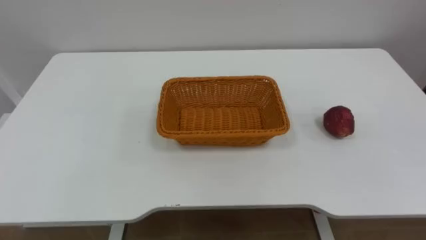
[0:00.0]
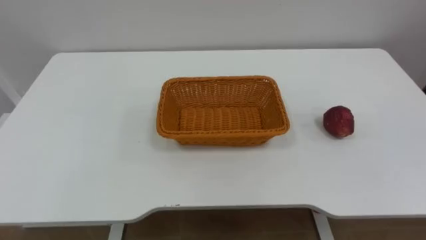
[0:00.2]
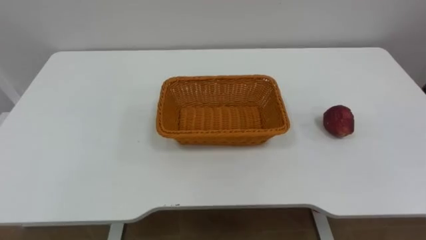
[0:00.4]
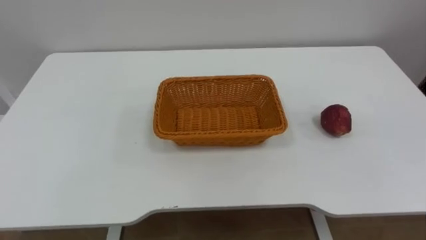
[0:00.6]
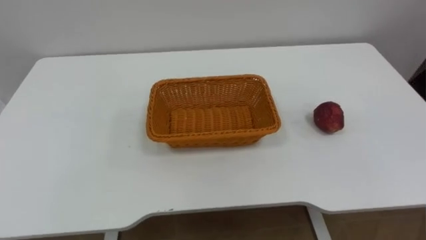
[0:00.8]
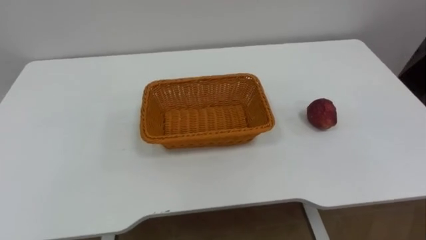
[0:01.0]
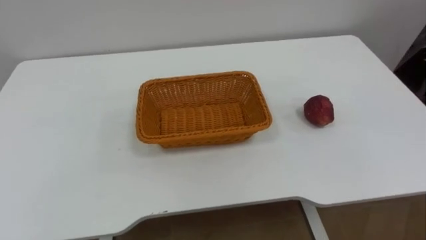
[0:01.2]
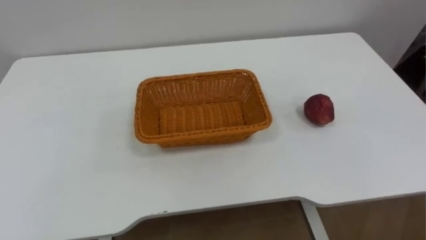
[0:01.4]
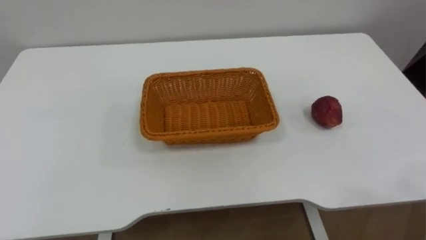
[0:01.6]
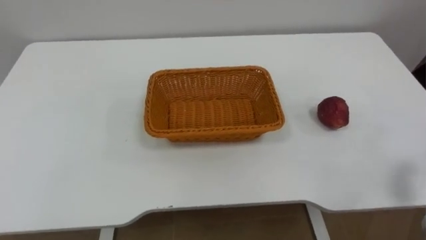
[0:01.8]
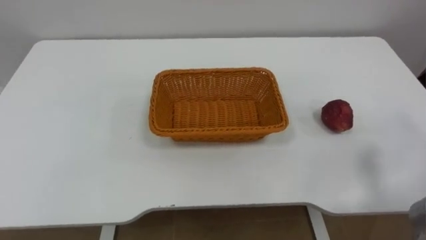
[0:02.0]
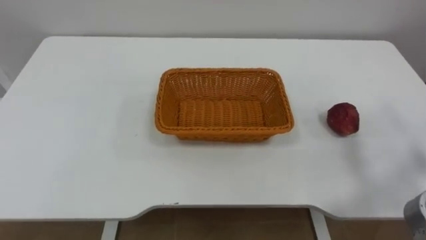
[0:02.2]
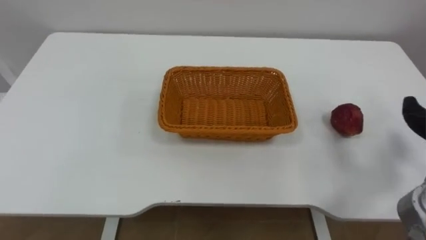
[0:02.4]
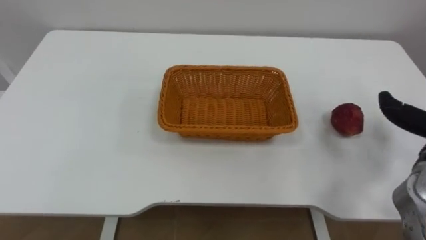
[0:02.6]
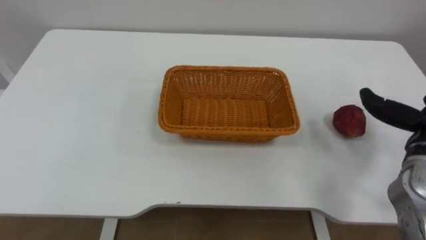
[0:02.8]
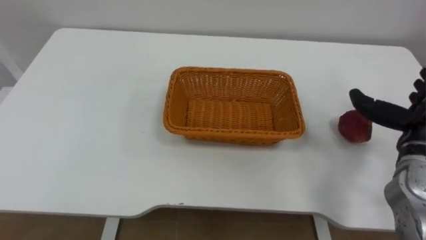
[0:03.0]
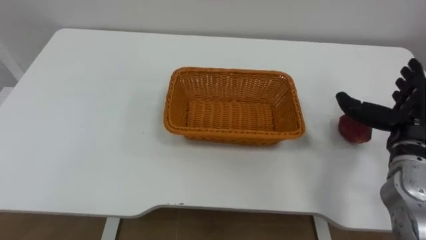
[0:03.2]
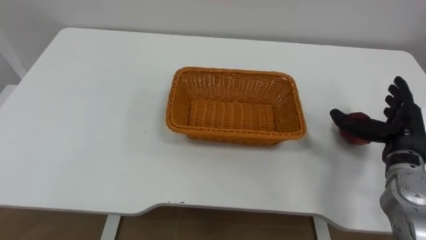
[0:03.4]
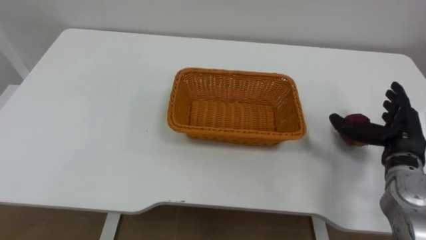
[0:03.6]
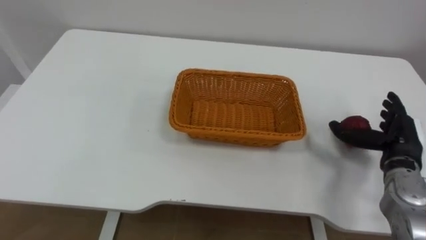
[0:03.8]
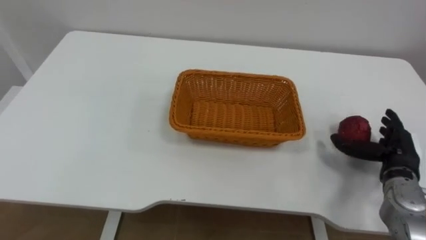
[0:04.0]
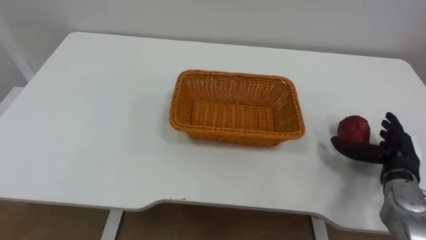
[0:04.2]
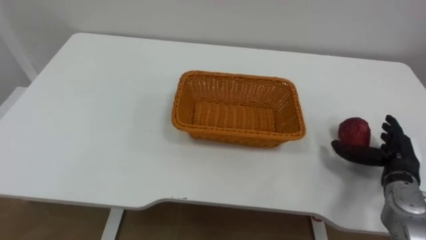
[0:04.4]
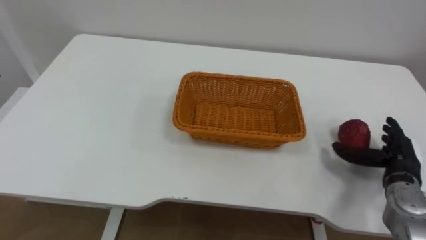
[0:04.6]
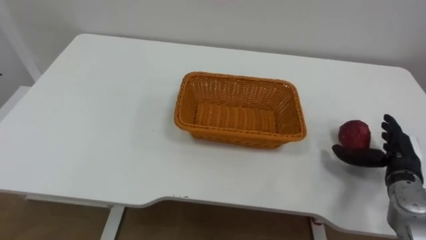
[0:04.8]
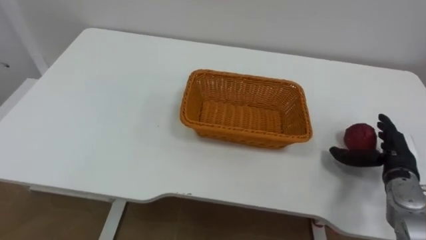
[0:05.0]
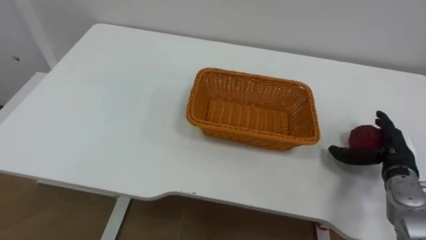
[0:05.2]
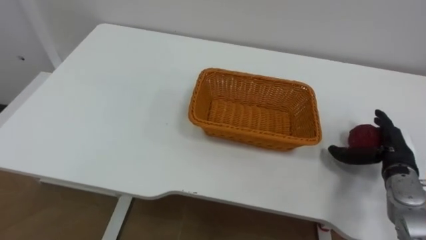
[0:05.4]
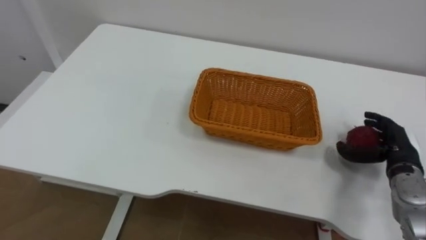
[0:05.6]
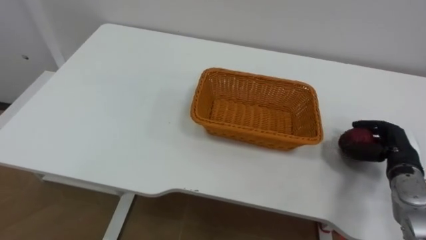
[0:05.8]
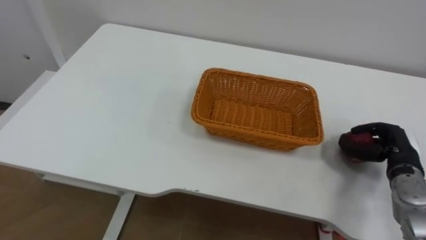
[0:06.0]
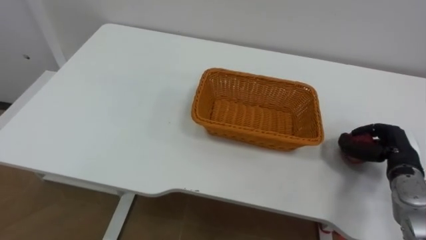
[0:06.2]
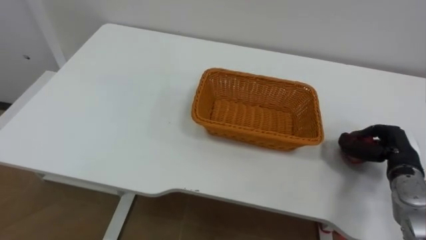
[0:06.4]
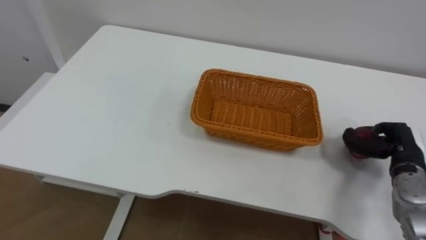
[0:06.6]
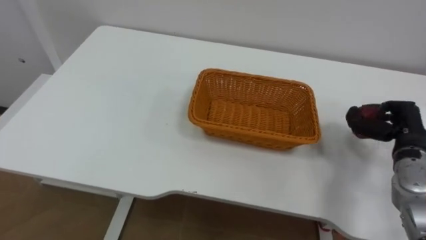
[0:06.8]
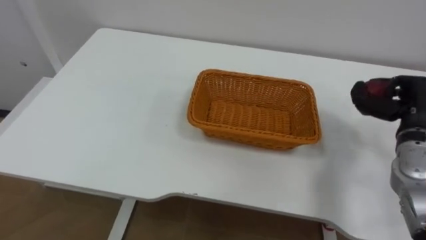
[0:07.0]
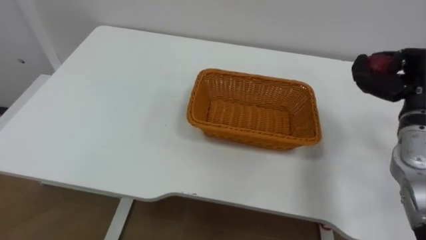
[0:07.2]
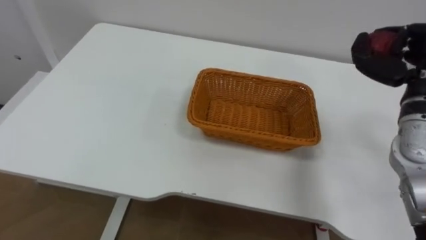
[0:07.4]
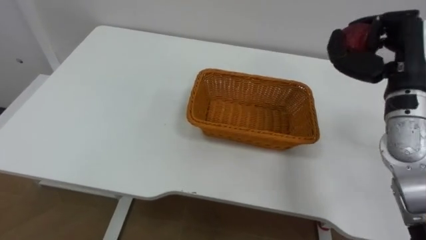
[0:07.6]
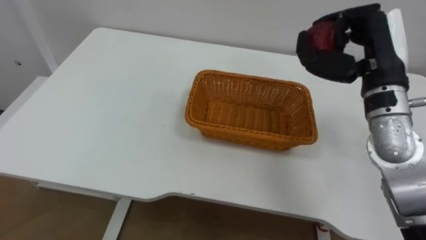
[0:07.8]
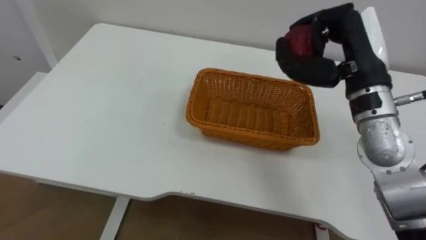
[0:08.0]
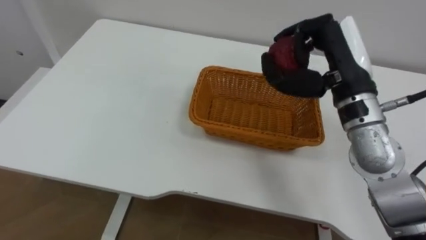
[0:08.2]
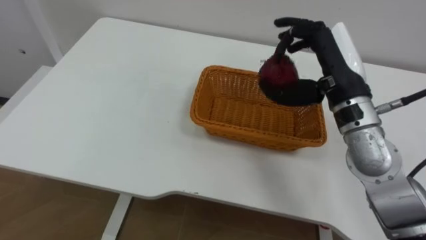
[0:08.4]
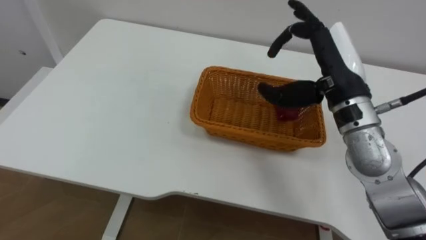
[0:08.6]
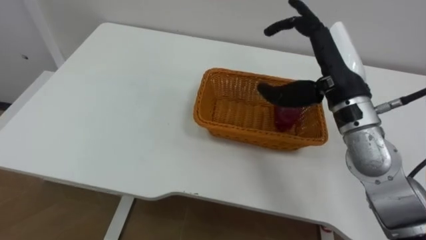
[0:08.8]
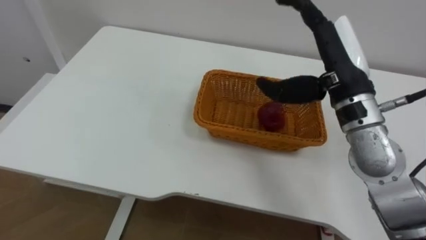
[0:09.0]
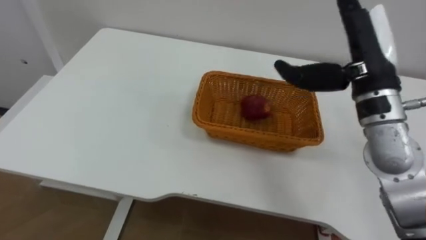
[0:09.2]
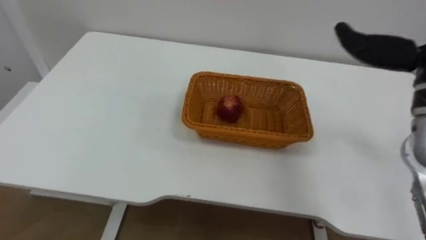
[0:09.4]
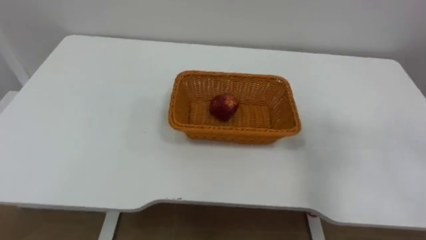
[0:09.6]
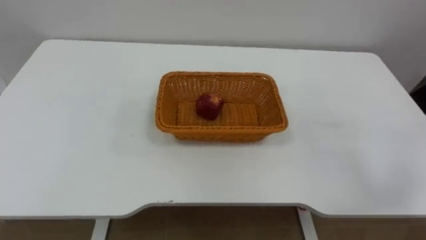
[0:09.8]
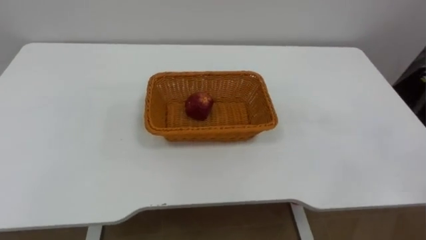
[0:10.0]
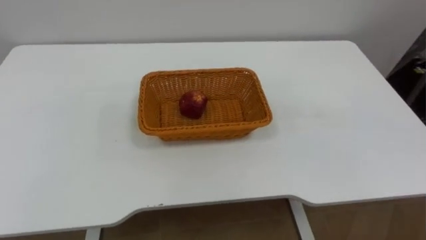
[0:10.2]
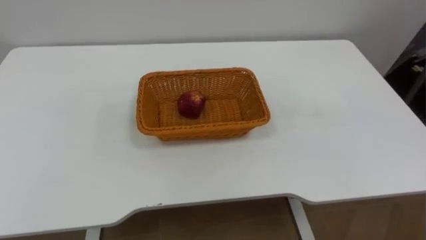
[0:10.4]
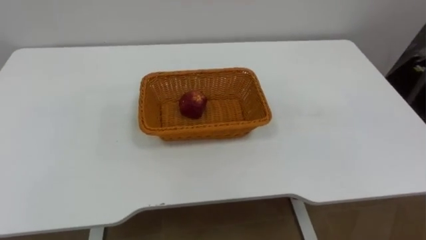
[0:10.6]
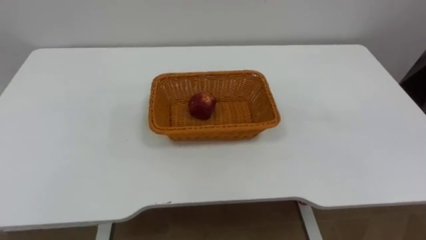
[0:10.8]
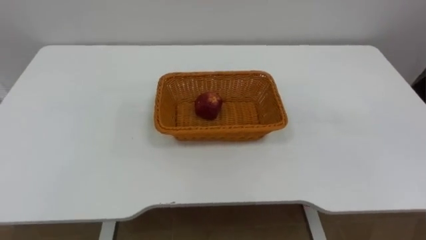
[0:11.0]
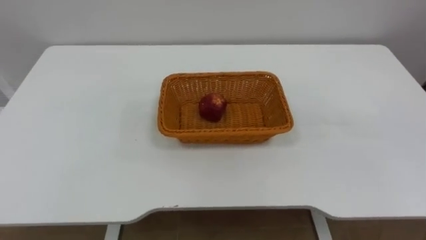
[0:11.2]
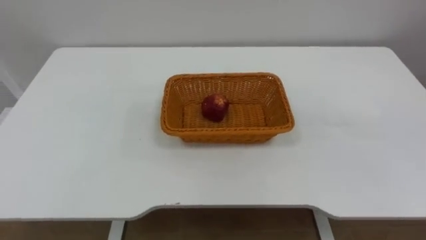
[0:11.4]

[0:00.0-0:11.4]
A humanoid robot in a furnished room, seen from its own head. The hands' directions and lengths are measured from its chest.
Task of the whole recording: Pick the apple and place it in the box.
0:05.6 to 0:07.2: The right hand goes about 15 cm upward, and closes its fingers.
0:07.2 to 0:08.6: The right hand is displaced to the left by roughly 15 cm, and opens.

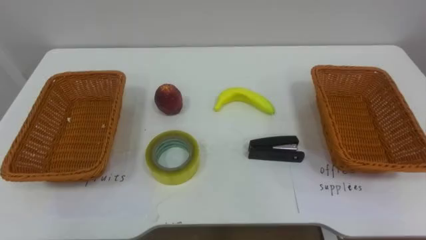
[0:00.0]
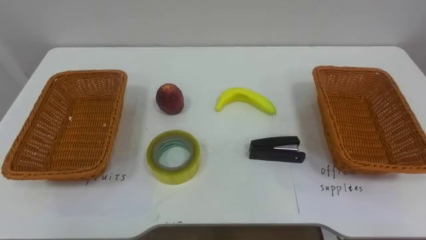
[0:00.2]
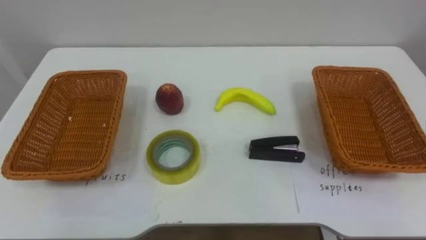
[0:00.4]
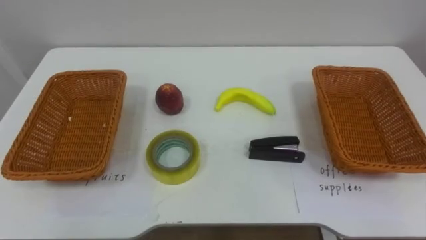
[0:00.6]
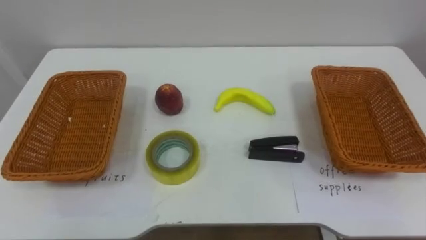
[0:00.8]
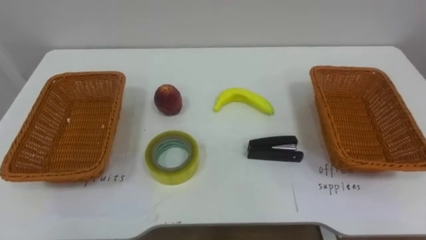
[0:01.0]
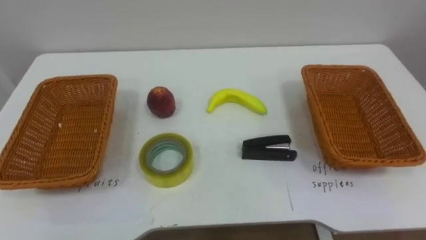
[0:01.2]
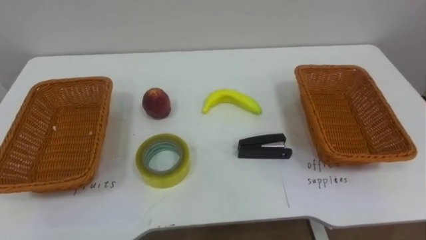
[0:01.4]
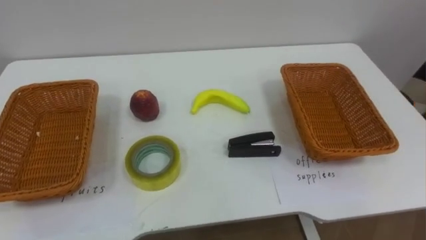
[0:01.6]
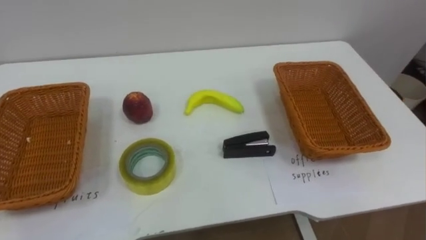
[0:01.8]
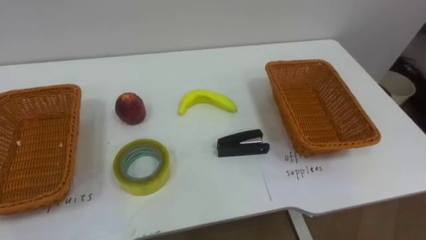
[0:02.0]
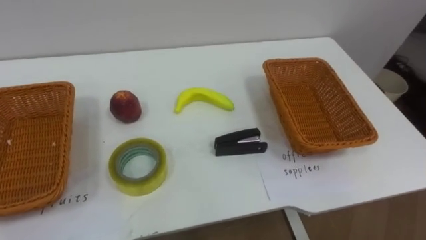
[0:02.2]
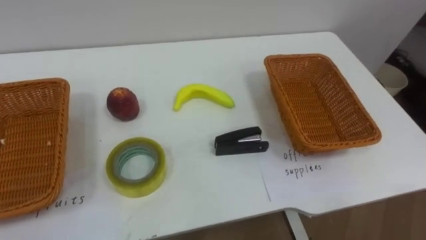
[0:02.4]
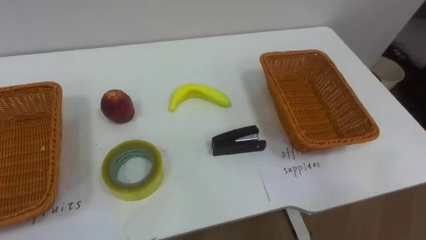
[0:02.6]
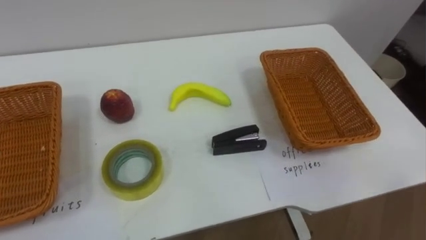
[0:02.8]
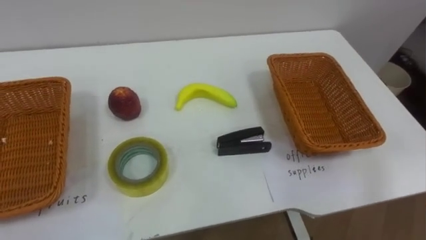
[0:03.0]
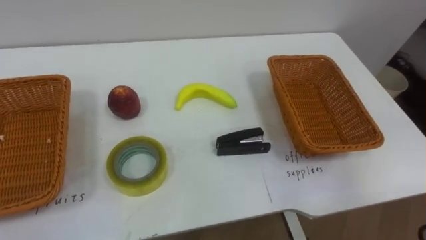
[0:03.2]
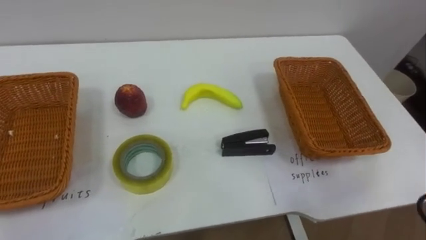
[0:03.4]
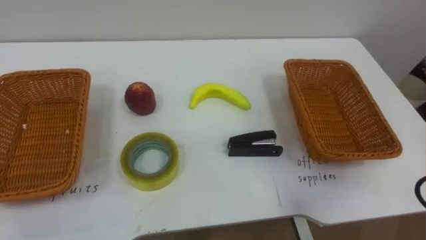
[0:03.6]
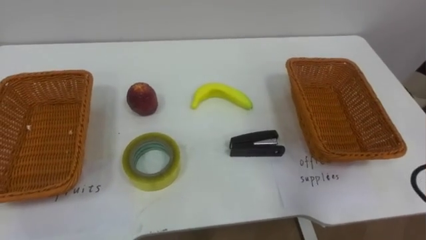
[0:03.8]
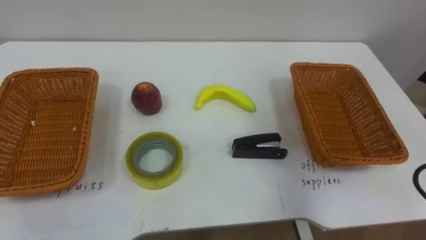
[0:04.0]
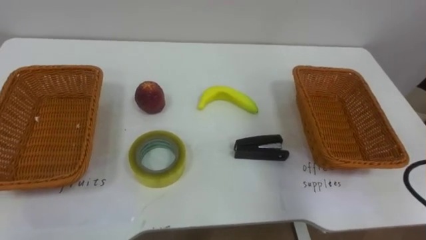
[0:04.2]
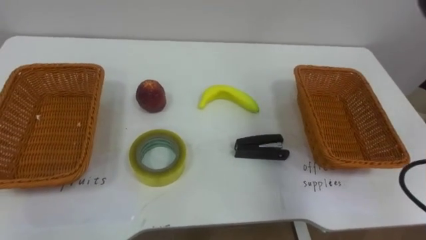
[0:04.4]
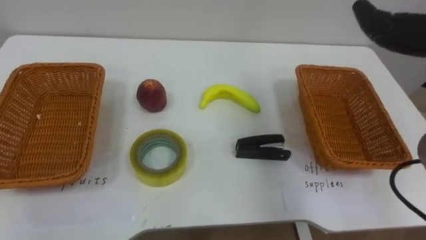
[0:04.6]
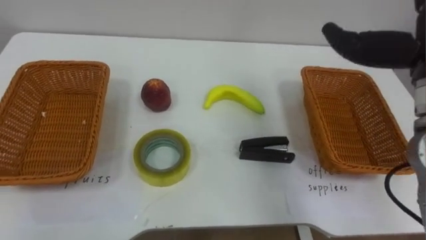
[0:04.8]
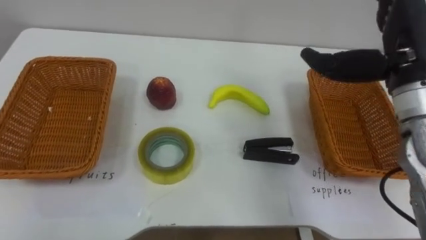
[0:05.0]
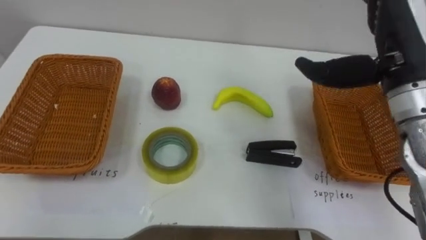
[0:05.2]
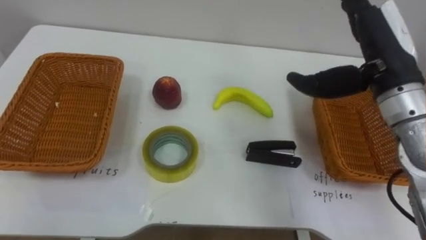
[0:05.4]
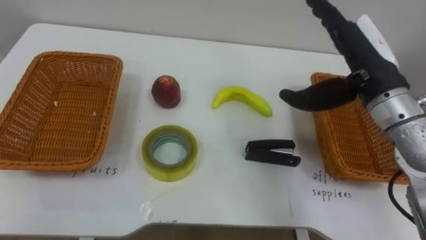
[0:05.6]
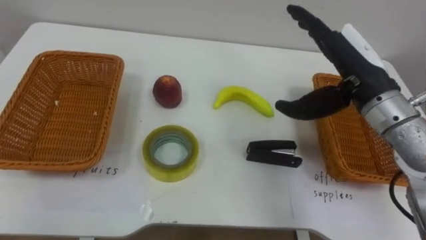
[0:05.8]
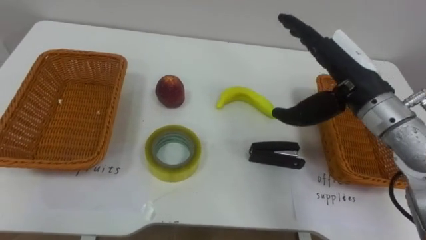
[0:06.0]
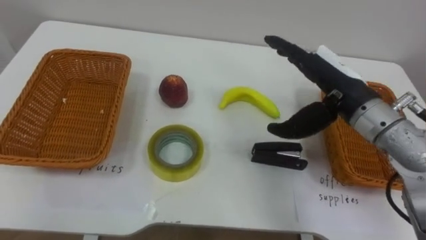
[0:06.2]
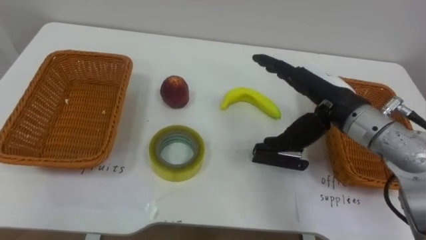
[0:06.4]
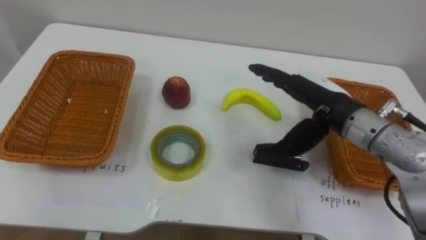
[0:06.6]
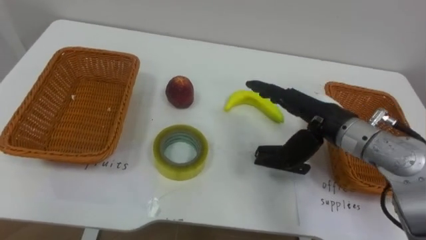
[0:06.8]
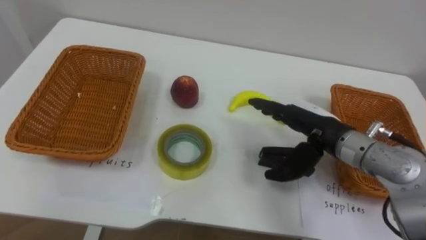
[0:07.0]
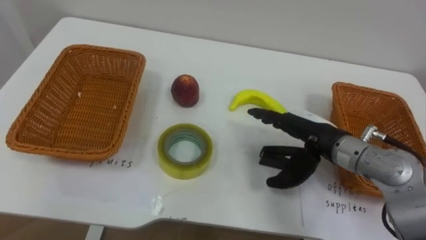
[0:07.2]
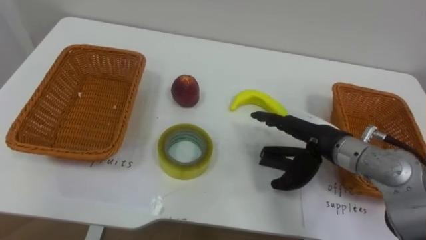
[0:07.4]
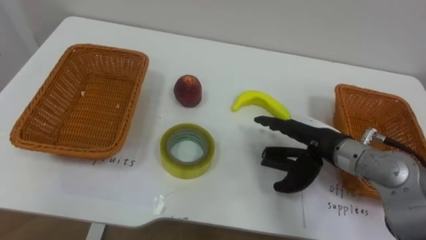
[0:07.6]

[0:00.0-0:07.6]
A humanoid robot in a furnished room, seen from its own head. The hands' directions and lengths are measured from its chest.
Task of the whole recording: Separate the items on the table and place them into the two baskets.
0:06.0 to 0:07.6: The right hand travels downward by roughly 10 cm.
